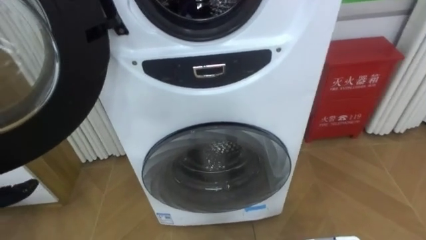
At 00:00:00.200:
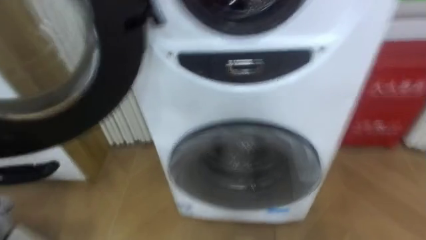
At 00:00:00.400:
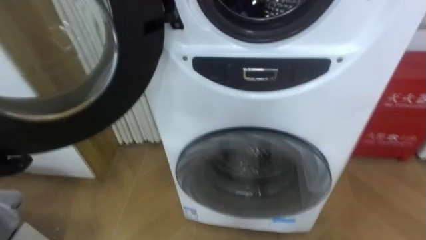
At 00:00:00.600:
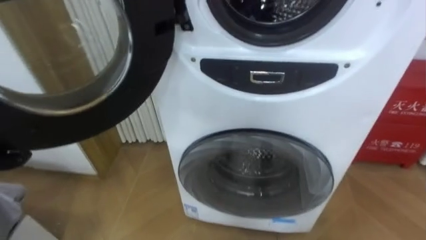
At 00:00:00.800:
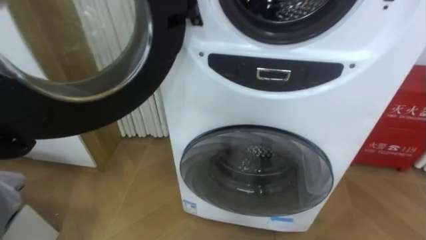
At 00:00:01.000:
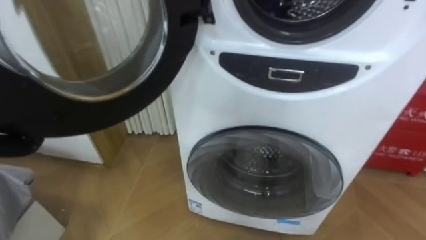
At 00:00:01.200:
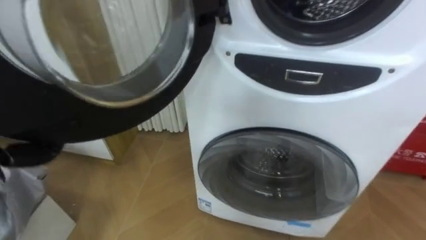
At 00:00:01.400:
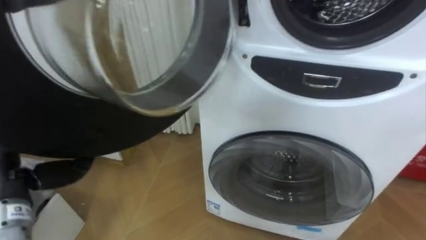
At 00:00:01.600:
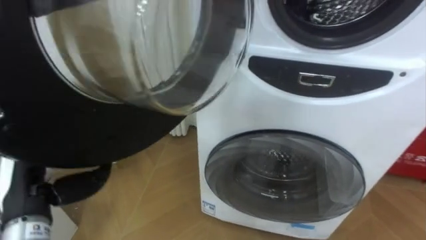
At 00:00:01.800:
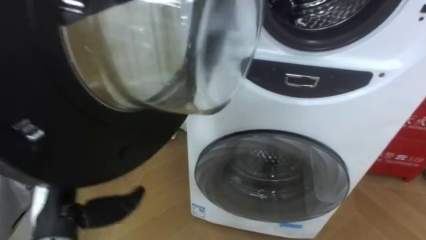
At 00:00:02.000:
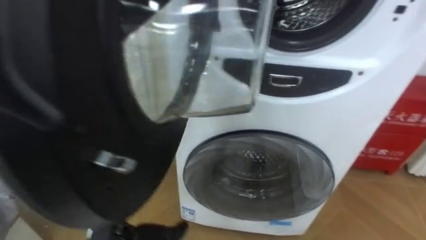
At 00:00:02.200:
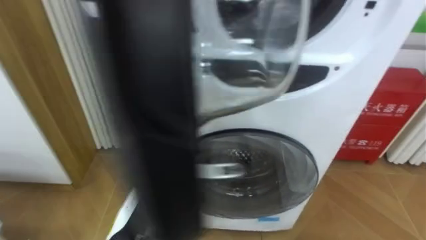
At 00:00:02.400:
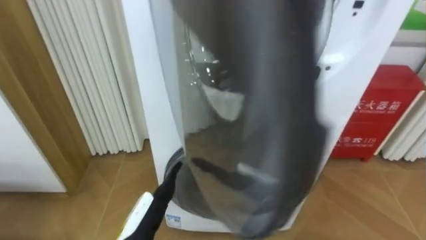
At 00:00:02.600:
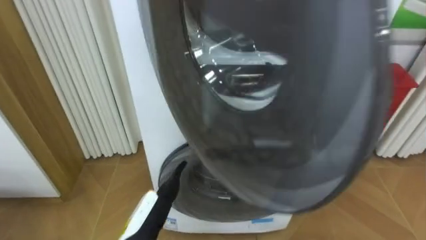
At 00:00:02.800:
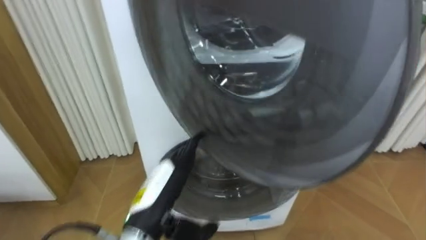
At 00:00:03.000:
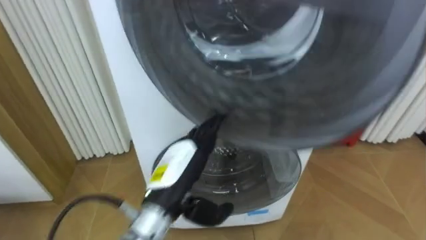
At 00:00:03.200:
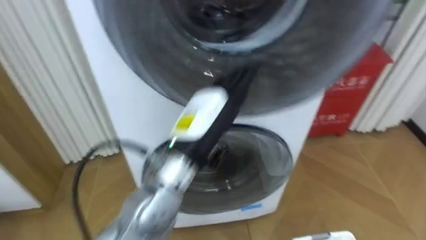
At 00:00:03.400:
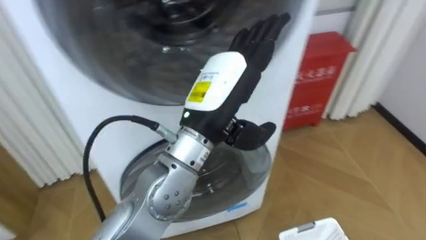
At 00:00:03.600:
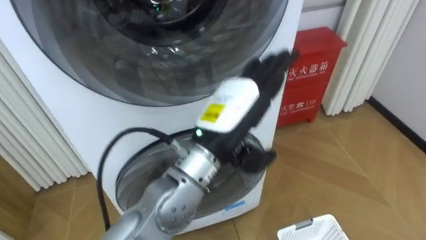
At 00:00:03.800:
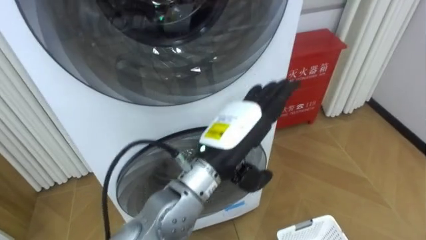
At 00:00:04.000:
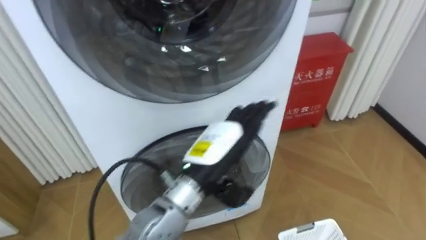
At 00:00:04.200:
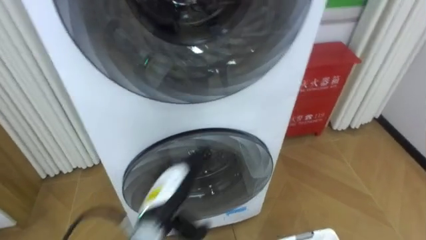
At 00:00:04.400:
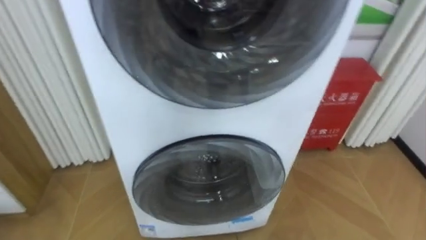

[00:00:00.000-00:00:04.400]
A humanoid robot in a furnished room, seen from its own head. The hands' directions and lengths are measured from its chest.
Task of the whole recording: Open the washing machine door, take out the yellow clothes, place them in the box on the right, and close the washing machine door.
00:00:00.000 to 00:00:01.400: The robot turns to its left by about 15 degrees.
00:00:01.400 to 00:00:03.000: The left hand is displaced to the right by some 25 cm.

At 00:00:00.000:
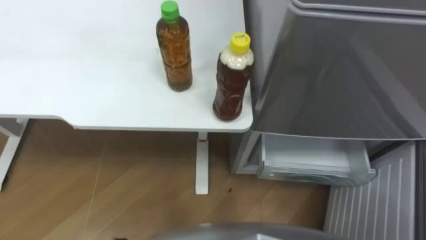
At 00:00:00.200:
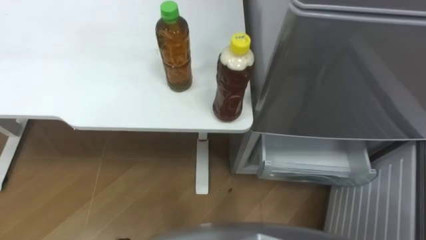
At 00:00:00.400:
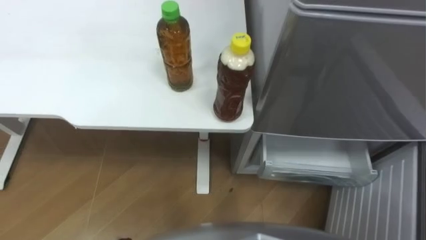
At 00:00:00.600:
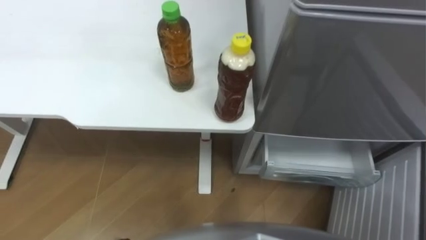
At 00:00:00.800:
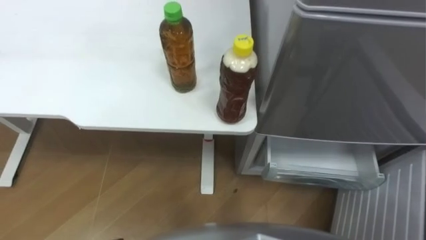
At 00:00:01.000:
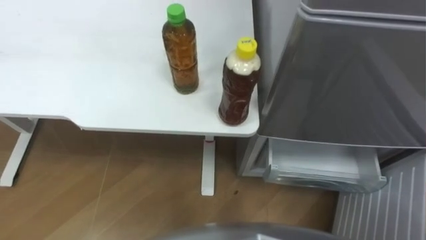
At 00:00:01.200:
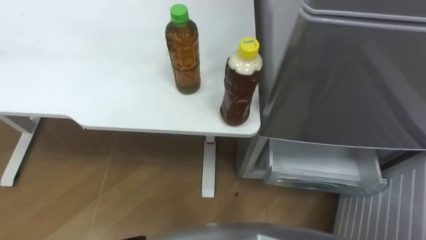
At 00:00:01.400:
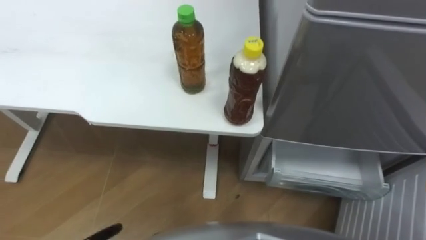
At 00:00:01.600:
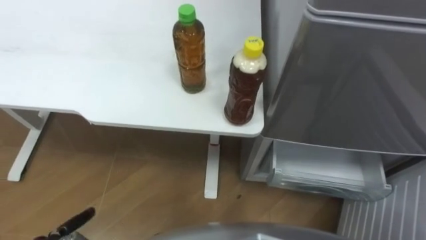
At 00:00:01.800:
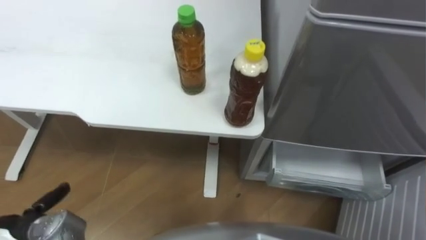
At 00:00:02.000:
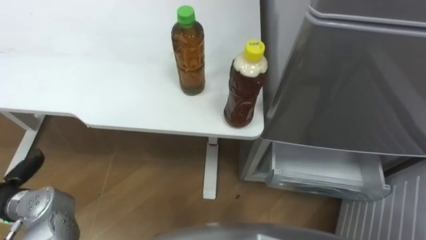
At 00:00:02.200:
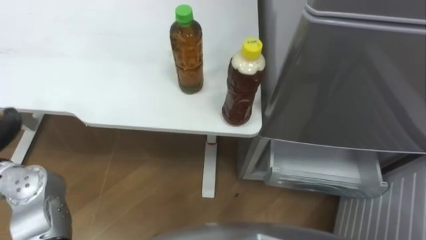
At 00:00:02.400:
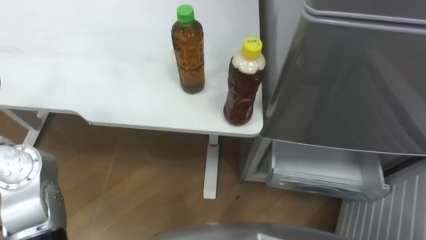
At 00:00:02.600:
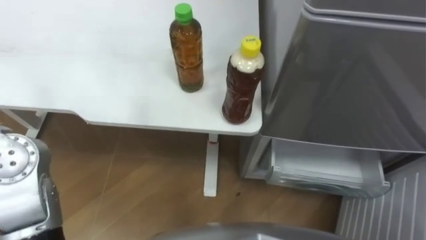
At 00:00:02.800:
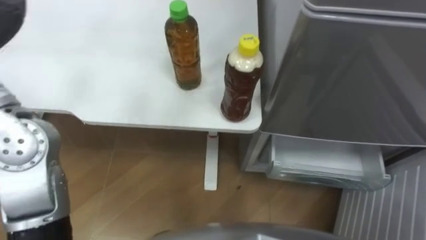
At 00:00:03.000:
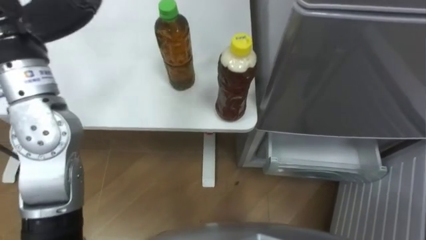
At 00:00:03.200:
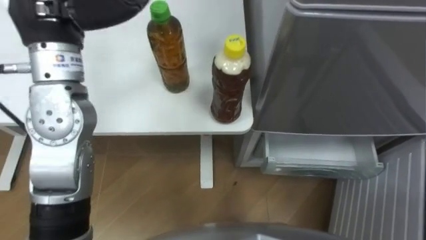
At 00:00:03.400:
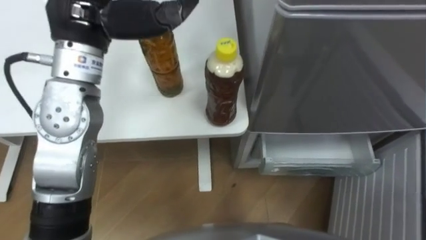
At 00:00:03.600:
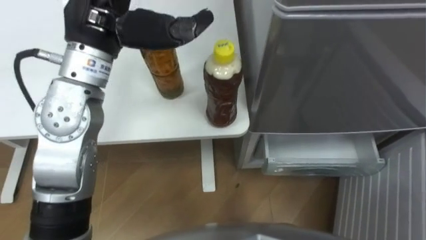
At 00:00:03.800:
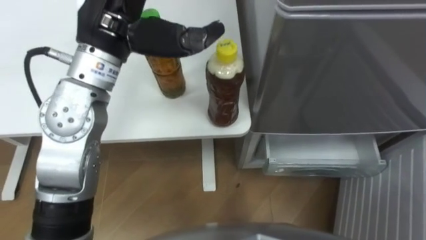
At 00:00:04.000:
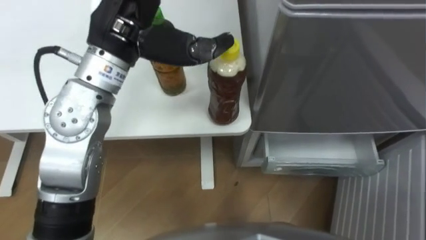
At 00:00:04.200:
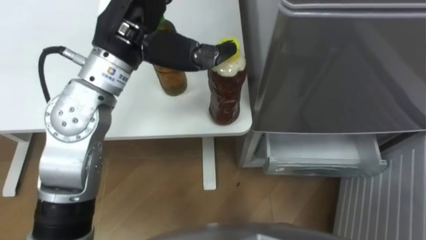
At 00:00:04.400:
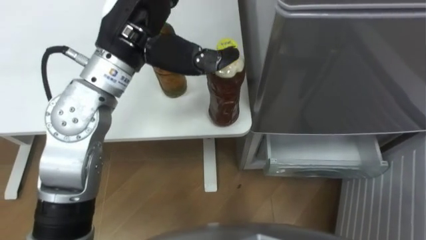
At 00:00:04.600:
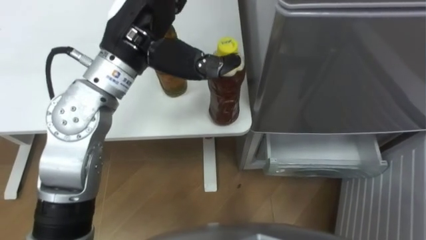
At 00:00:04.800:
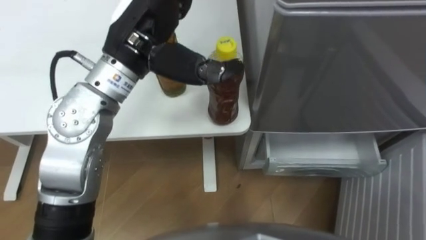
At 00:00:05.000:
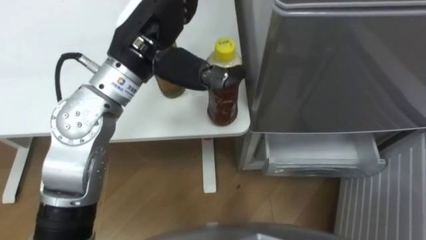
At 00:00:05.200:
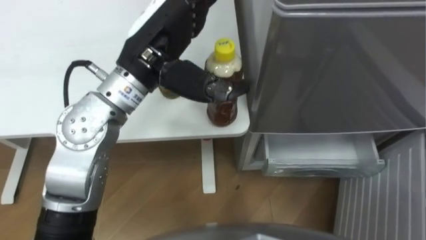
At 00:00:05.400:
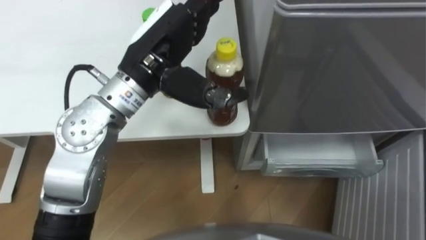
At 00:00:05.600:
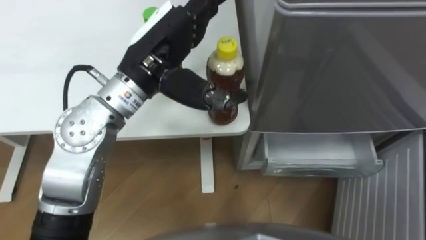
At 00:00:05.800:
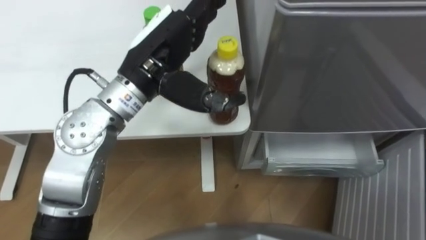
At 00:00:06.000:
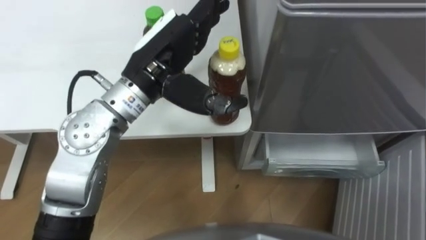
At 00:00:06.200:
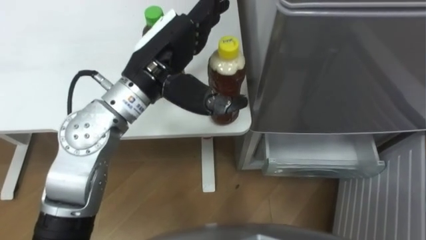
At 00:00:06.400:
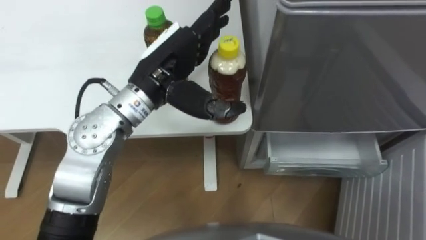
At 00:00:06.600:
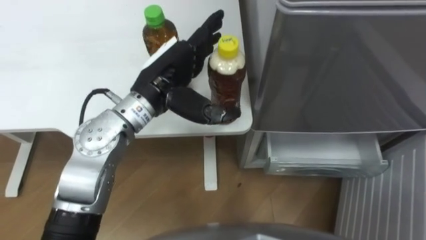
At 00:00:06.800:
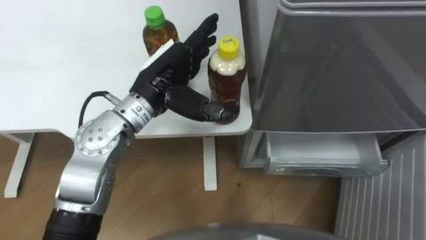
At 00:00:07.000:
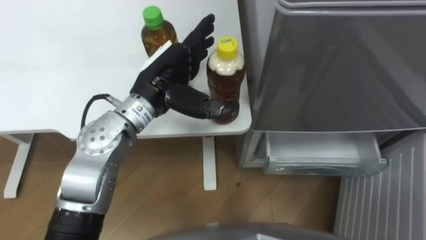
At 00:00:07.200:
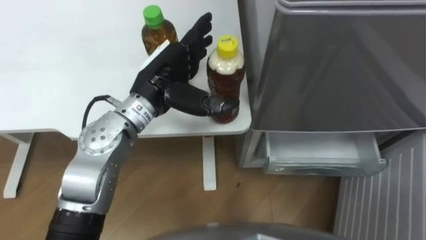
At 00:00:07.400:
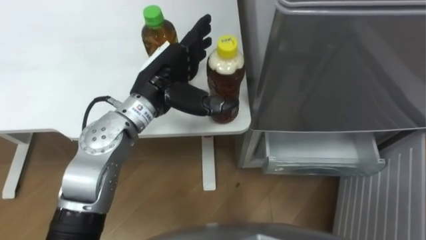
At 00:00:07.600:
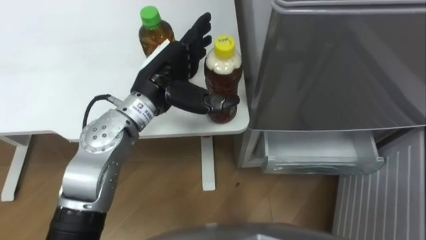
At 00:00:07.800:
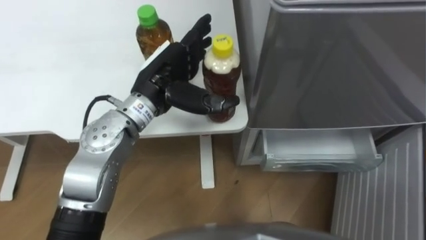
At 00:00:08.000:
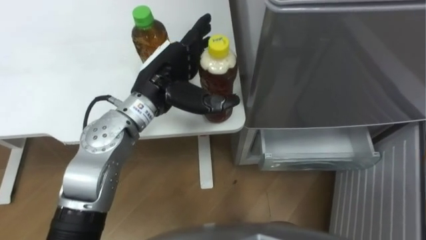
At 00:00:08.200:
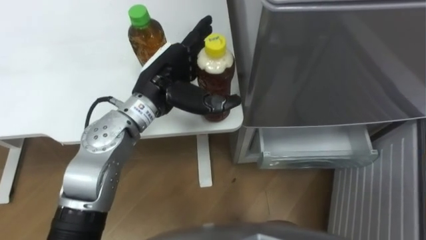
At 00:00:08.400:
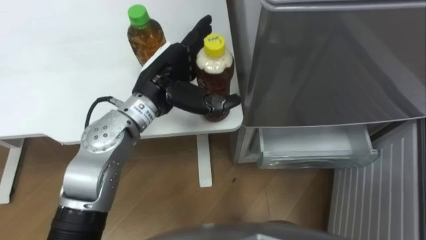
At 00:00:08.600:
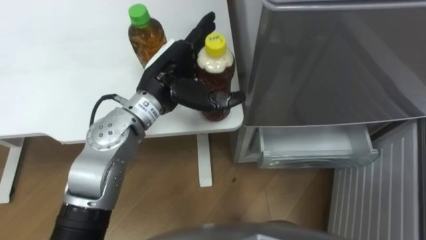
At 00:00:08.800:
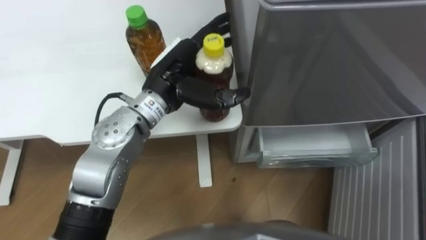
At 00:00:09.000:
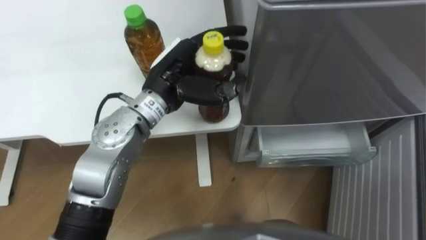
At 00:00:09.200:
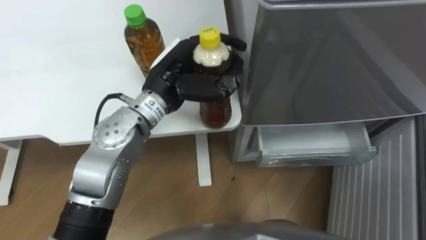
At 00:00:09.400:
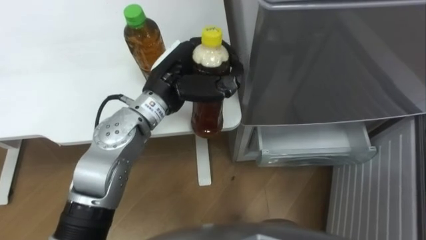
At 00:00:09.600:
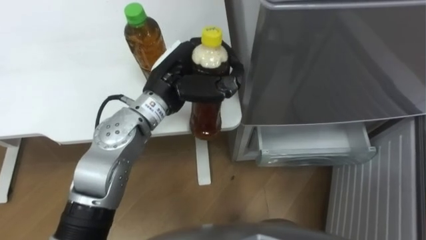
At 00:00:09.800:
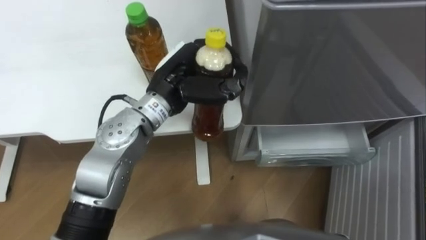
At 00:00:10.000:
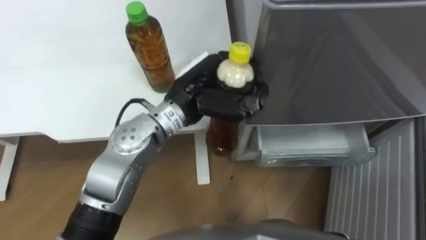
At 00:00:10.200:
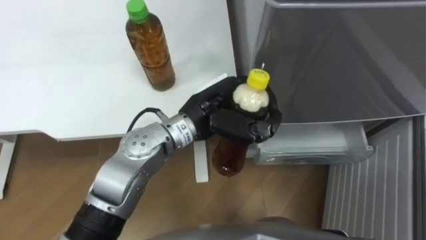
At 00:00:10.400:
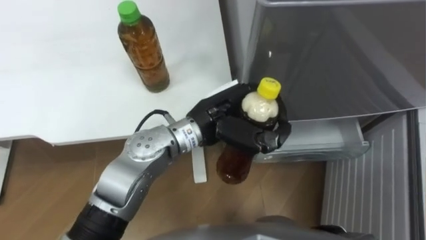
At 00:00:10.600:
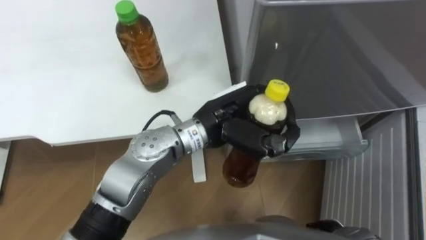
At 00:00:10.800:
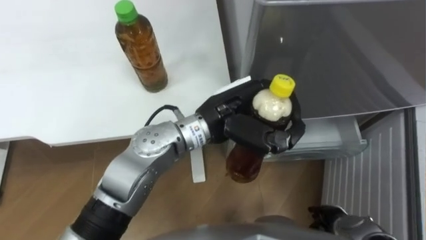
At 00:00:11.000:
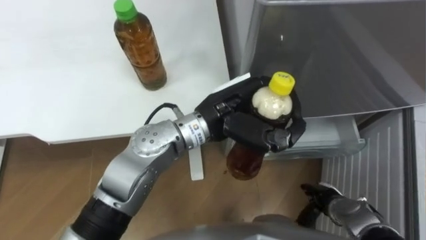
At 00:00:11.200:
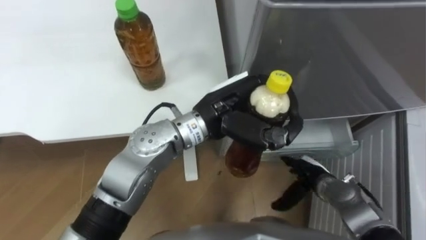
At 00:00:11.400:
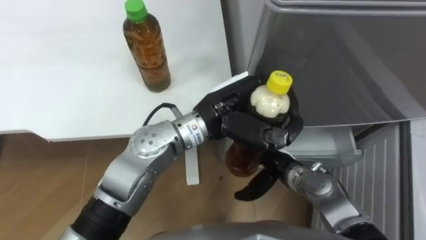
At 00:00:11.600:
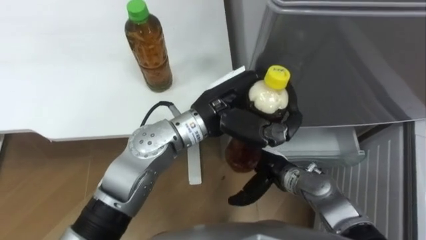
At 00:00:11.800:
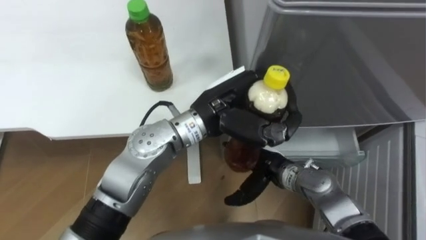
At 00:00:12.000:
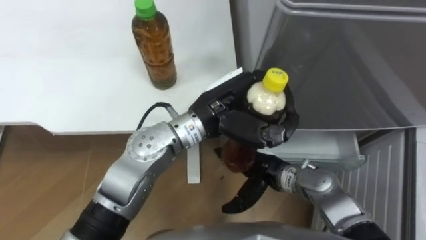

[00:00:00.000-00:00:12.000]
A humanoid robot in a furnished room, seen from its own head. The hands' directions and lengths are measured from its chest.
Task of the whole recording: Place the drink on the table on the bottom shelf of the refrigerator, then close the drawer and the refrigerator door.
00:00:04.400 to 00:00:06.000: The left hand changes place by roughly 5 cm.
00:00:06.000 to 00:00:07.600: The left hand heads downward, covering about 5 cm.
00:00:07.600 to 00:00:09.000: The left hand closes up.
00:00:09.000 to 00:00:10.400: The left hand is displaced to the right by roughly 10 cm, and closes its fingers.
